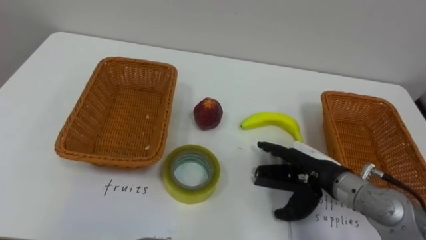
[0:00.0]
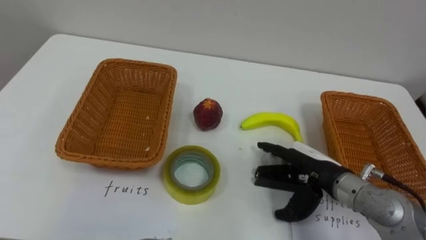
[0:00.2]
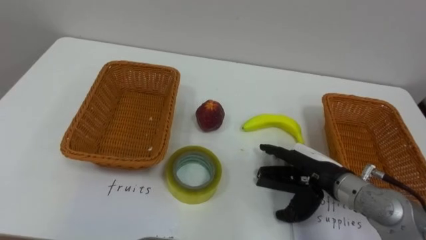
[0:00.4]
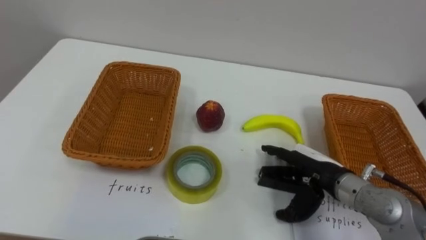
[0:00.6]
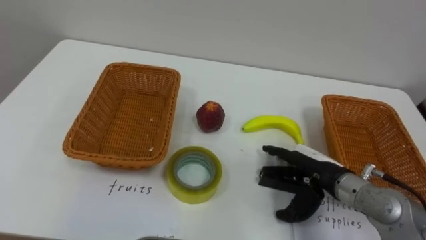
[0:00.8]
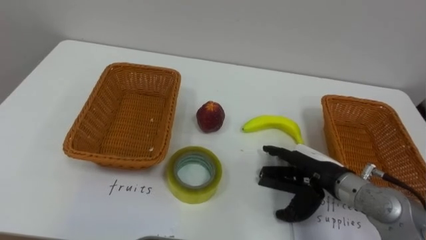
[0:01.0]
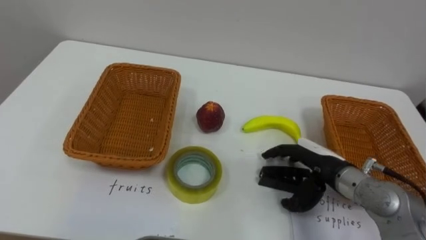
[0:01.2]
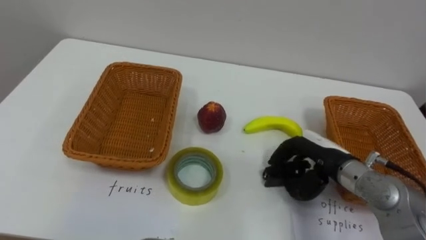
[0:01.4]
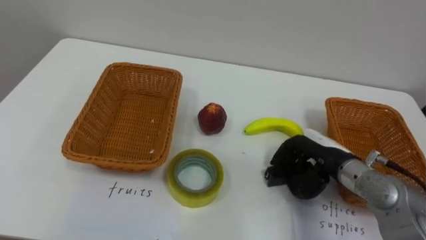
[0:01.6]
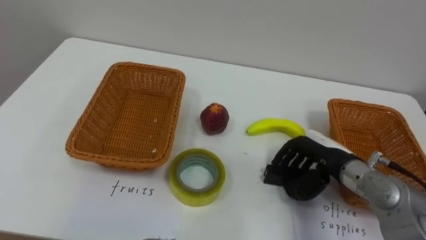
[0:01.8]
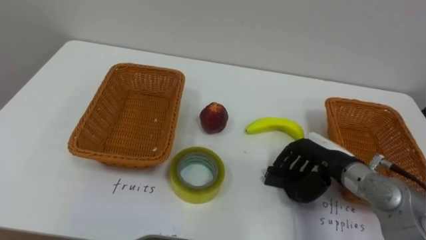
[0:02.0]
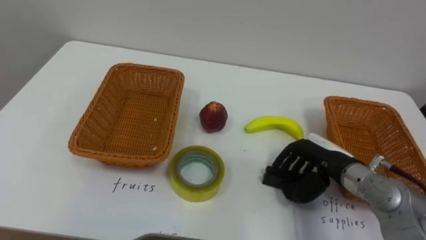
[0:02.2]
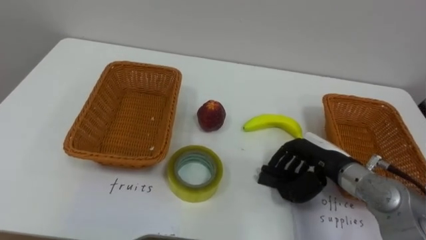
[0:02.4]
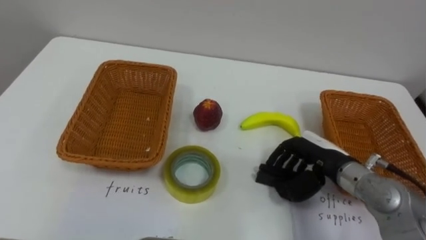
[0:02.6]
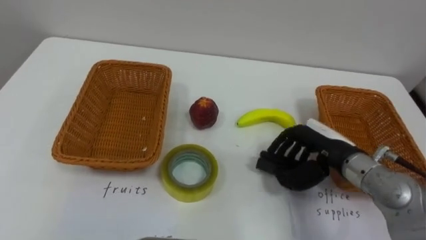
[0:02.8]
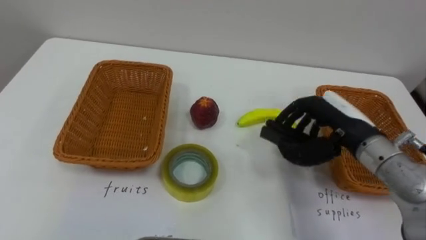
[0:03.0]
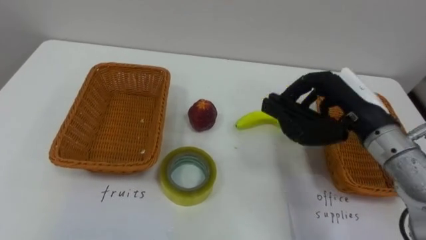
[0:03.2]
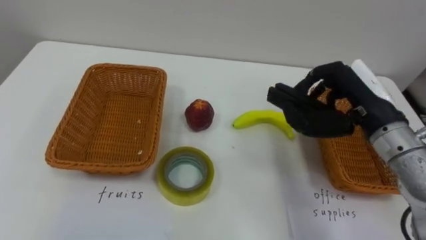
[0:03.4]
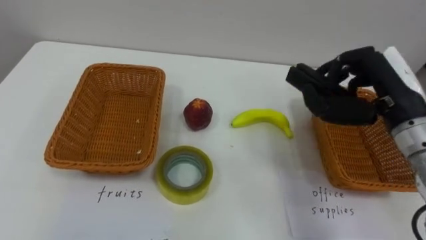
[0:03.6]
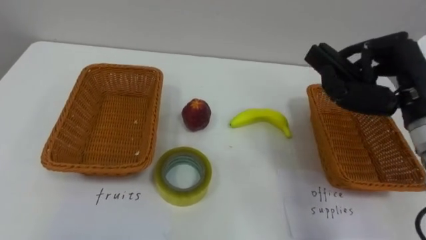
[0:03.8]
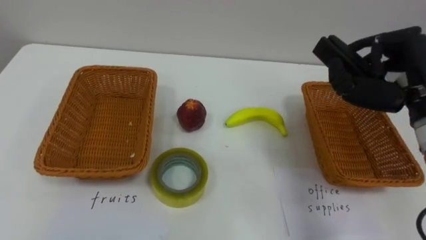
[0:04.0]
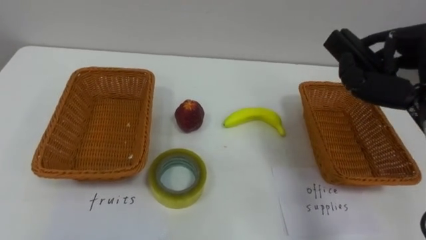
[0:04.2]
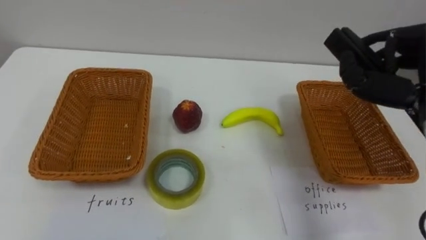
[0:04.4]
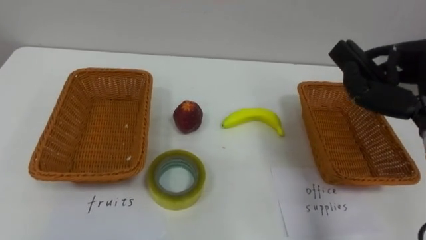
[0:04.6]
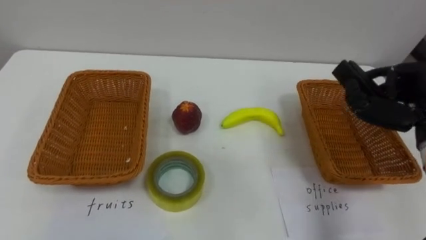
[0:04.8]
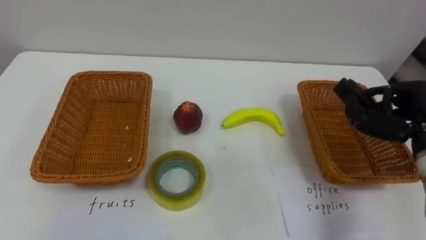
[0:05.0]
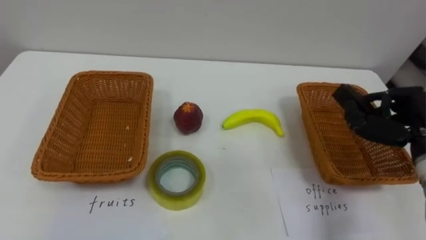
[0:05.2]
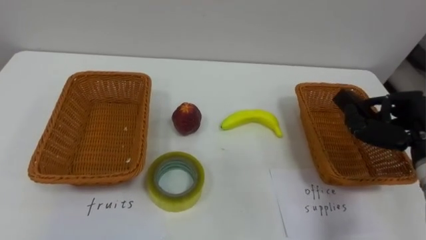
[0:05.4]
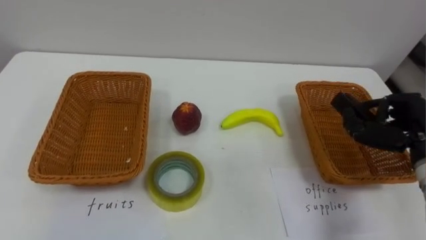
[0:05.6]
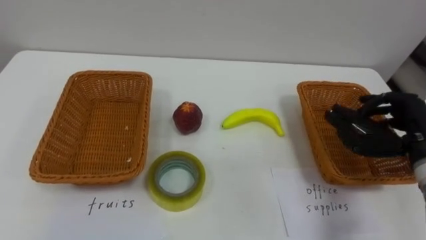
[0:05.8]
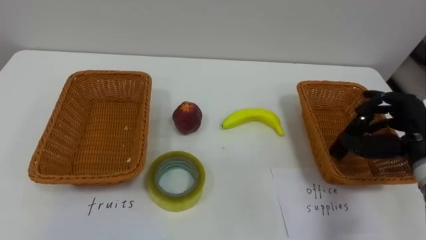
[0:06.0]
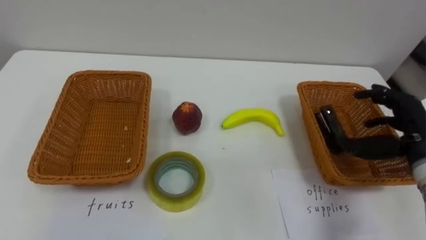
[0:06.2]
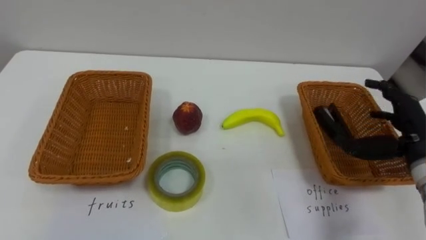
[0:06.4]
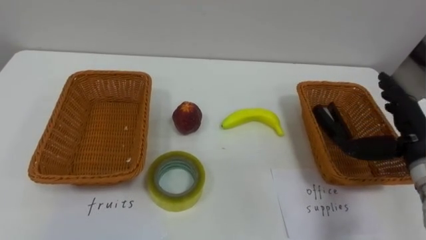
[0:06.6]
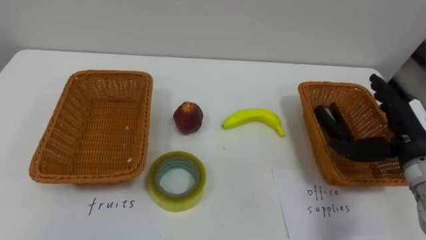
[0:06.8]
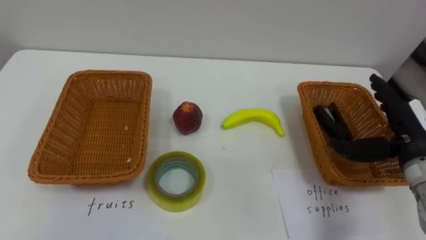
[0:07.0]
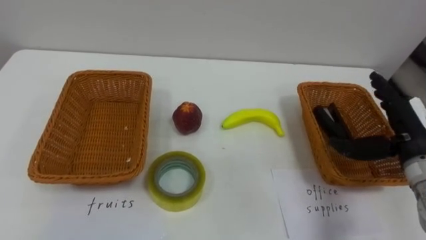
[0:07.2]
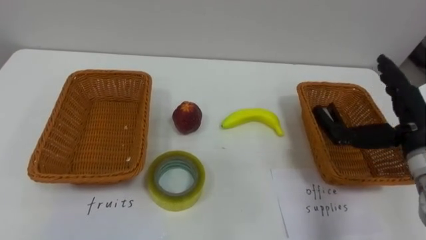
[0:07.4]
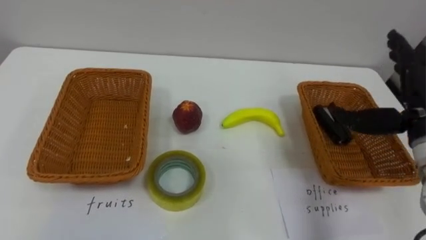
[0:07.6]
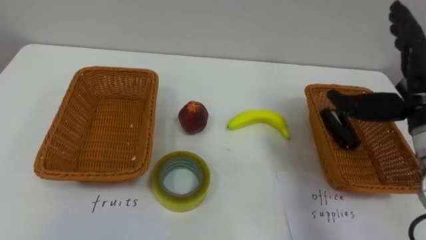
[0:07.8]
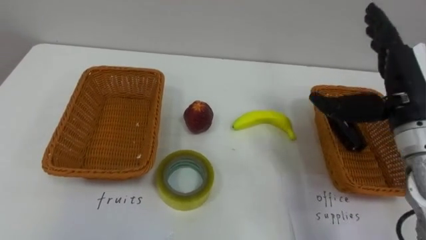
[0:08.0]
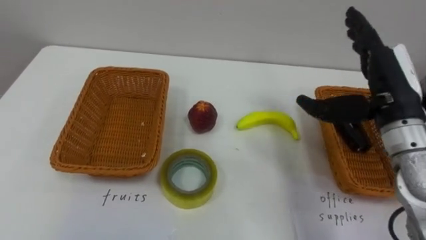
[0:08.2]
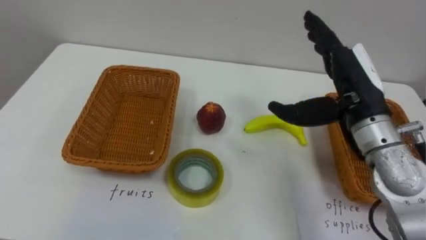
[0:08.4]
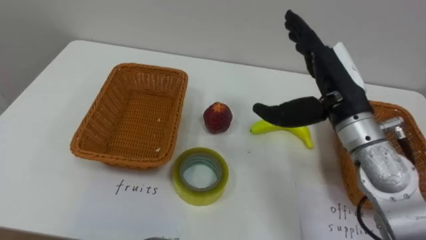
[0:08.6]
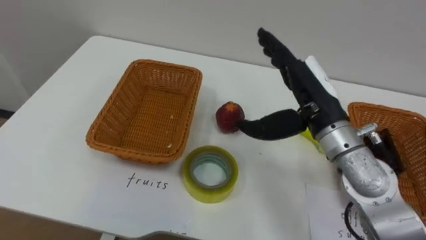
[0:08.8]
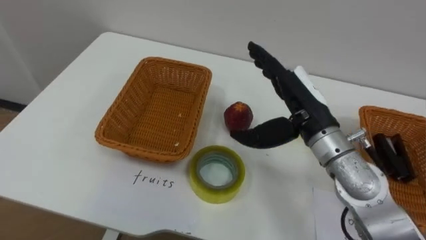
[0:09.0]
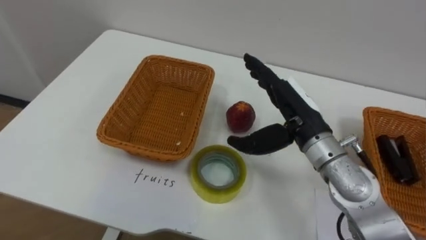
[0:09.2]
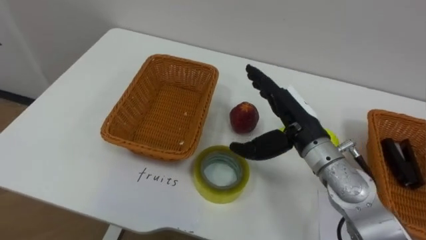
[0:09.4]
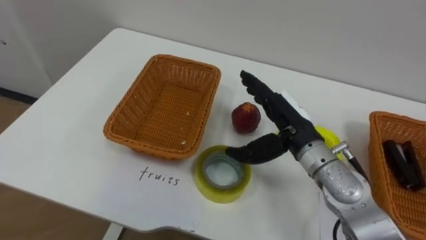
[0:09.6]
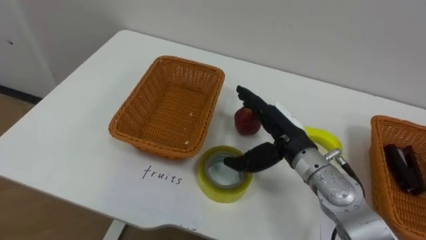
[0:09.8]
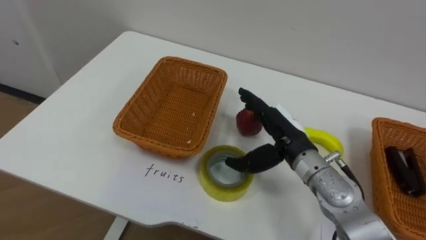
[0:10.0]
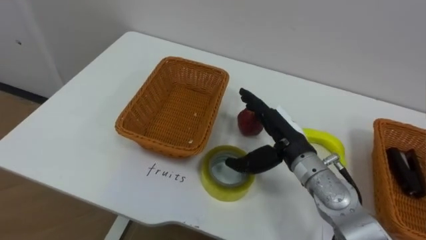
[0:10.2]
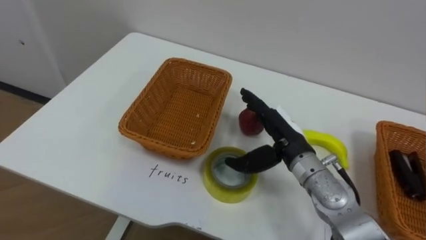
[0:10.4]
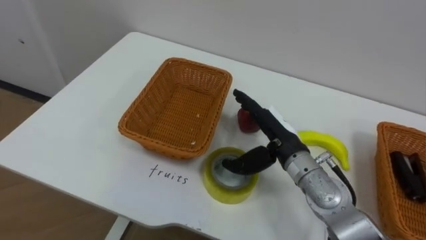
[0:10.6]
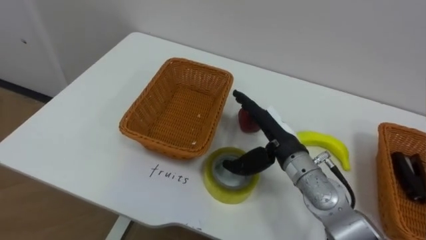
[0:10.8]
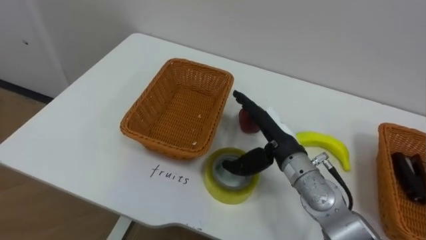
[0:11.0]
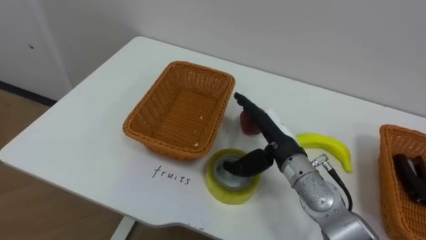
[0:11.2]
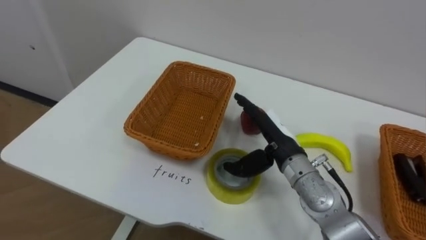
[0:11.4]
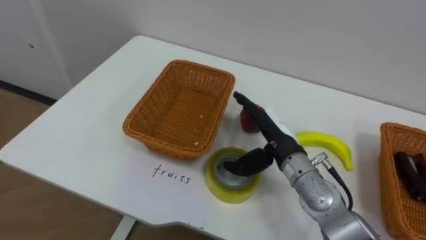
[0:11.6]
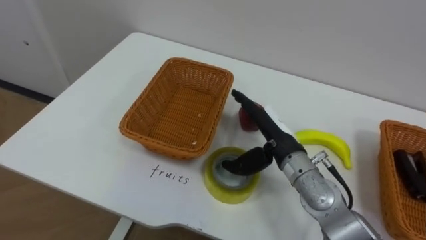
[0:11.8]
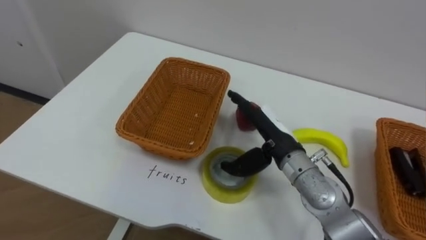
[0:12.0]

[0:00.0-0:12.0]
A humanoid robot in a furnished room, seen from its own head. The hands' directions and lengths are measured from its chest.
Task of the whole recording: Separate the items on the table and place them into the two baskets.
0:00.0 to 0:01.6: The right hand closes up.
0:01.6 to 0:03.0: The right hand goes approximately 10 cm upward.
0:06.0 to 0:07.6: The right hand heads upward, covering roughly 5 cm, and opens its fingers.
0:07.6 to 0:09.0: The right hand moves to the left, some 15 cm.
0:09.0 to 0:10.4: The right hand moves downward, approximately 10 cm.

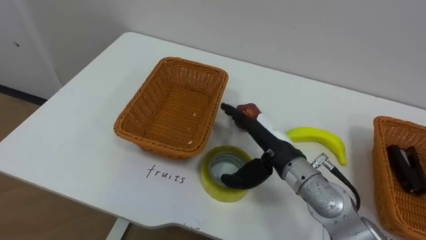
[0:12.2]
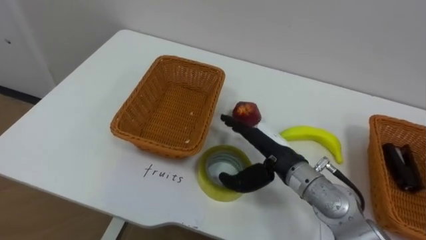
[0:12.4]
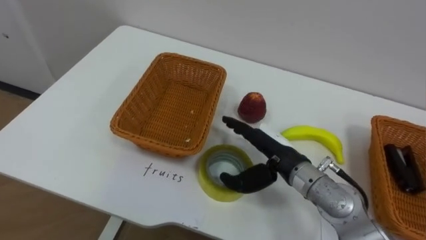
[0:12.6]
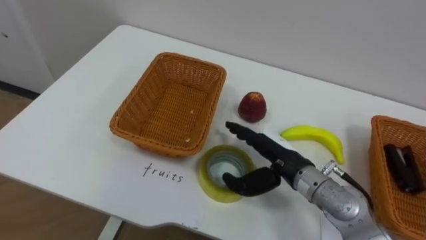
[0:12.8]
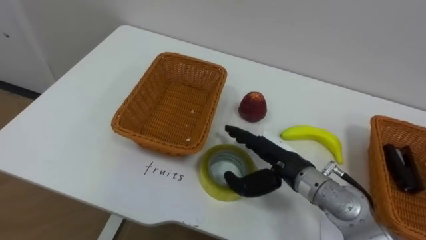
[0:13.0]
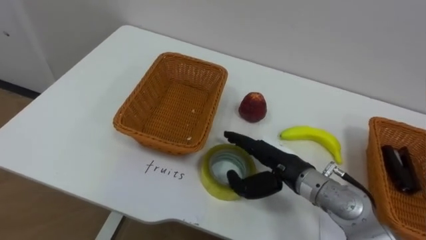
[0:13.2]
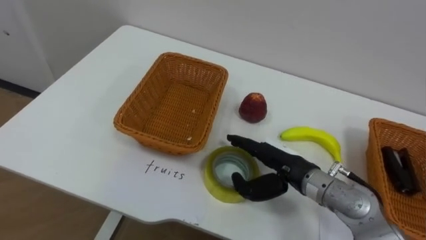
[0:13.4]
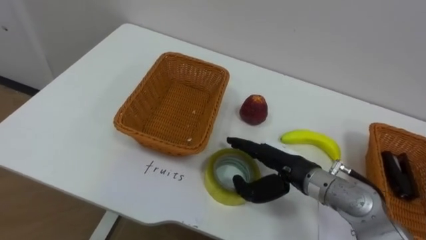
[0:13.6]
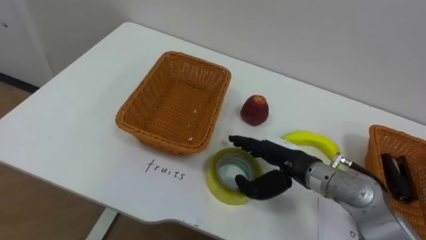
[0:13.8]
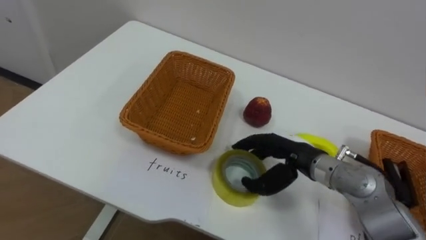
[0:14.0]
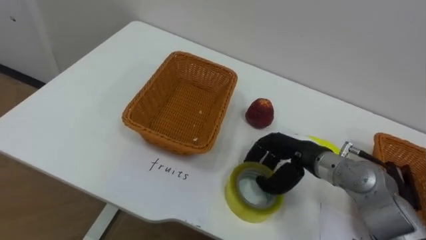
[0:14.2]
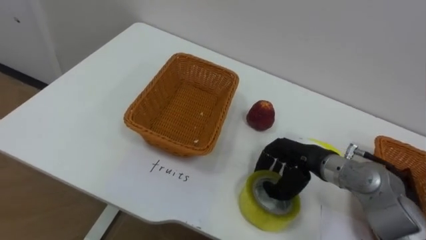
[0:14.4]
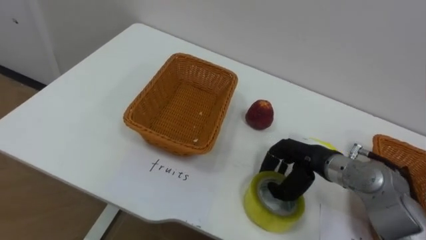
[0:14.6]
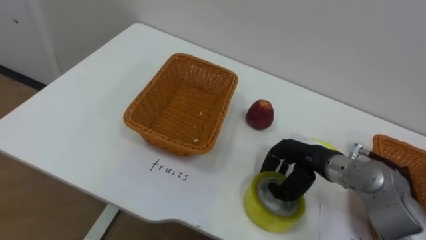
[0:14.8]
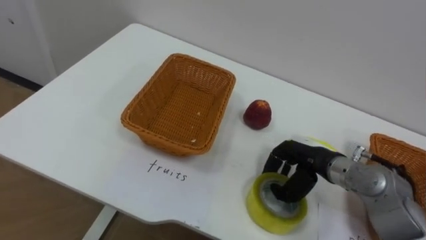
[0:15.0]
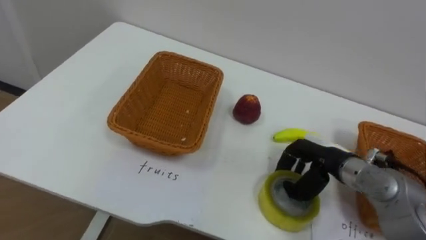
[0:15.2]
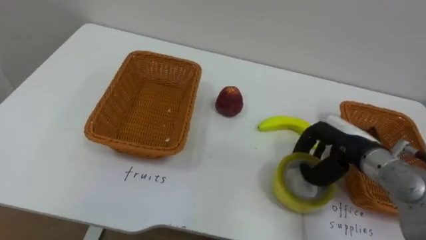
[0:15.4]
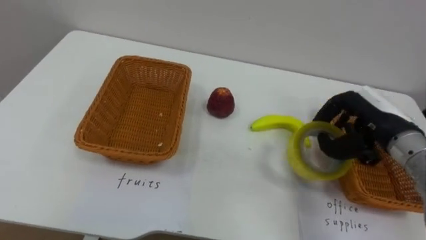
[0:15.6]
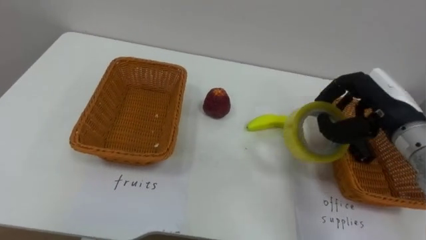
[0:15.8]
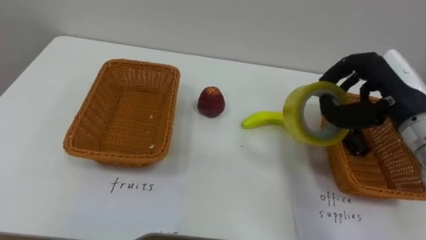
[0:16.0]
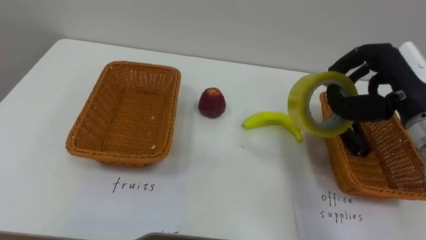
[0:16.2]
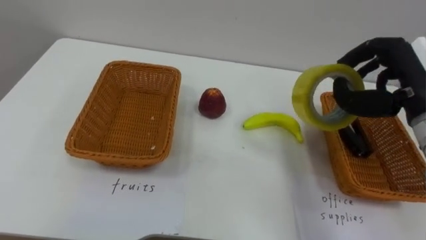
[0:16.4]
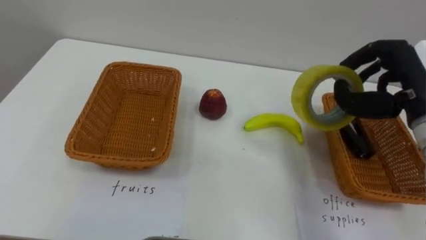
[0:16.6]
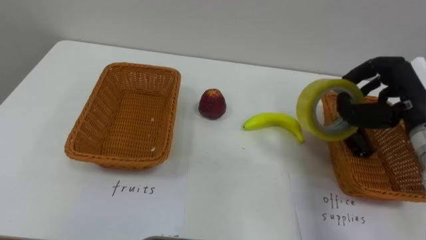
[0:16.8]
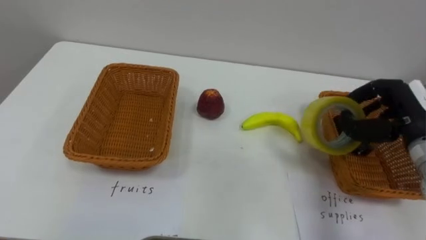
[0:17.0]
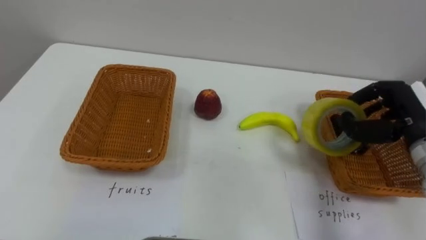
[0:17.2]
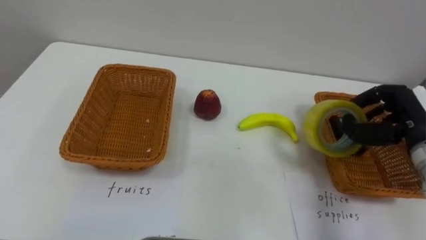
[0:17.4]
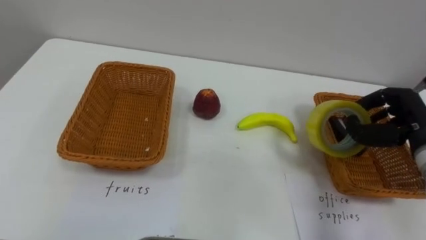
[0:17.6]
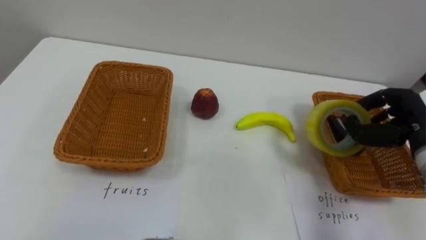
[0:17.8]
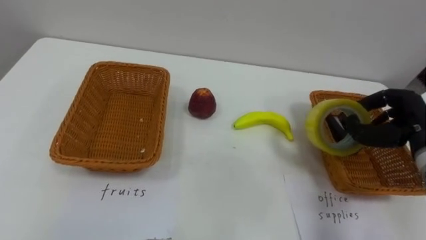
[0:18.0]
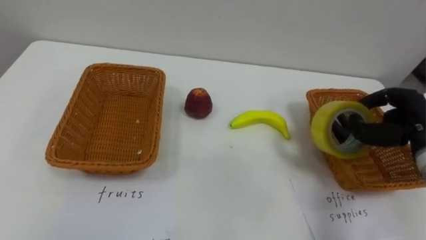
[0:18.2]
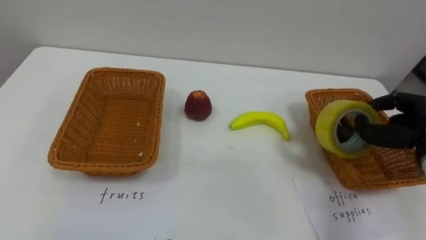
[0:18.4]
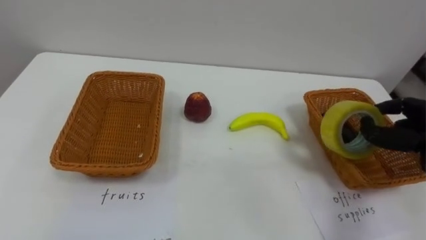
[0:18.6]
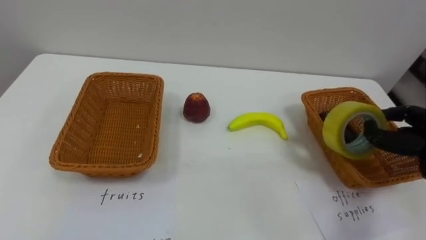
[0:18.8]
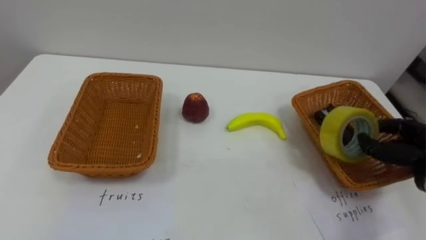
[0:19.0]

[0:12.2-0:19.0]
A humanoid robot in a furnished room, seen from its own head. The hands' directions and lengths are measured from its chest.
Task of the whole recording: Separate the items on the table and place them into the two baskets.
0:13.6 to 0:15.0: The right hand travels to the right by some 5 cm, and closes its fingers.
0:15.0 to 0:16.2: The right hand moves upward and to the right, some 20 cm.
0:16.2 to 0:17.6: The right hand shifts approximately 10 cm downward and to the right.
